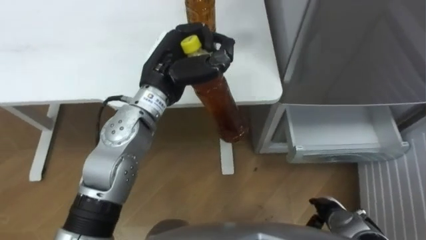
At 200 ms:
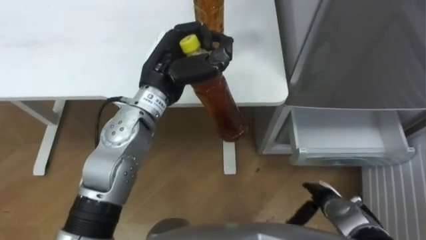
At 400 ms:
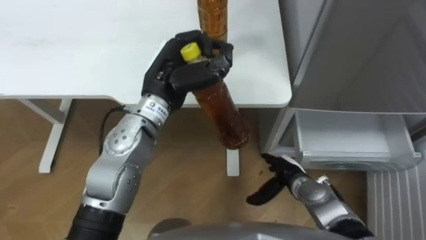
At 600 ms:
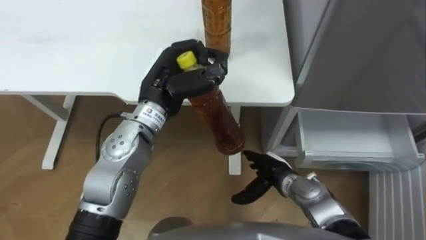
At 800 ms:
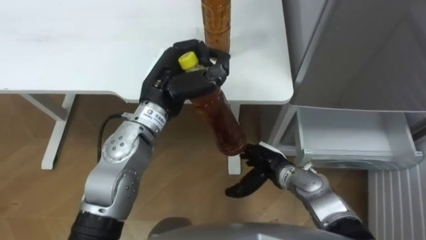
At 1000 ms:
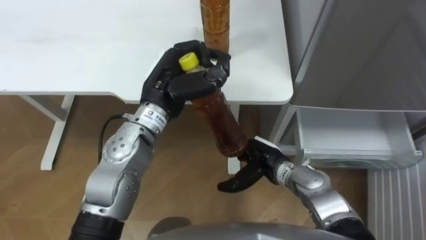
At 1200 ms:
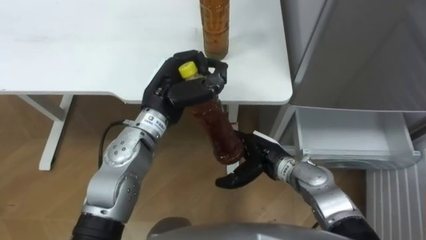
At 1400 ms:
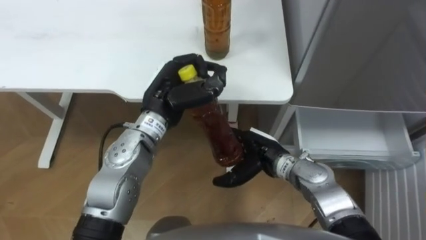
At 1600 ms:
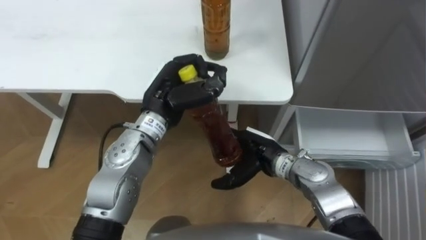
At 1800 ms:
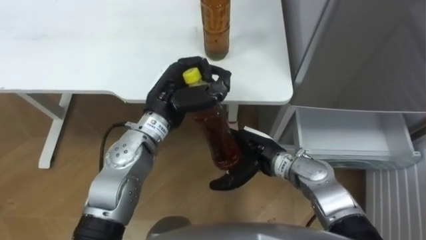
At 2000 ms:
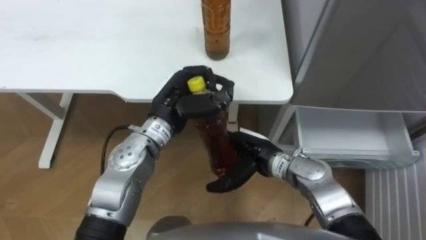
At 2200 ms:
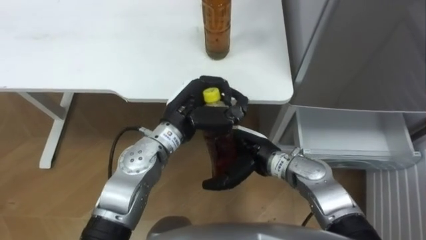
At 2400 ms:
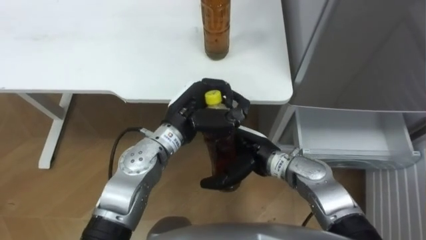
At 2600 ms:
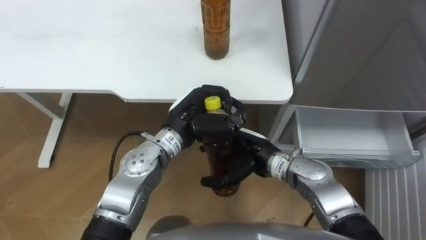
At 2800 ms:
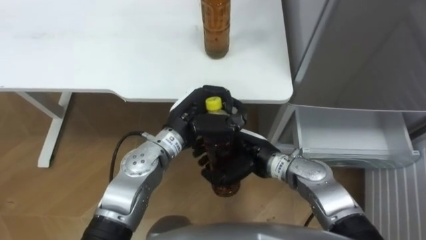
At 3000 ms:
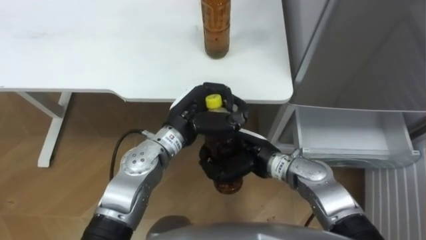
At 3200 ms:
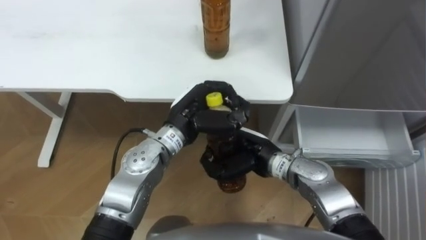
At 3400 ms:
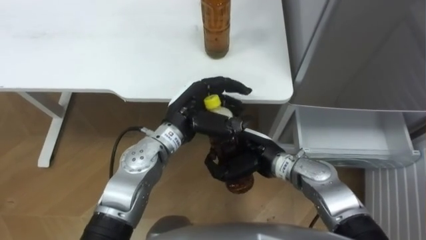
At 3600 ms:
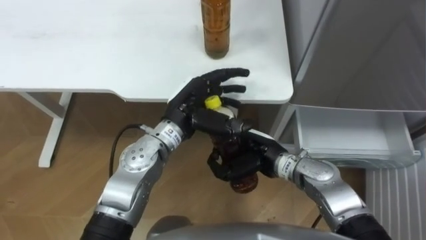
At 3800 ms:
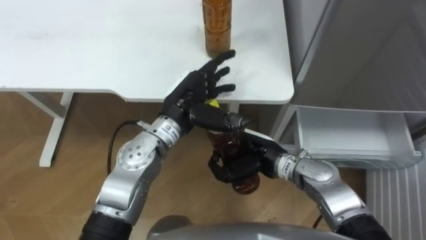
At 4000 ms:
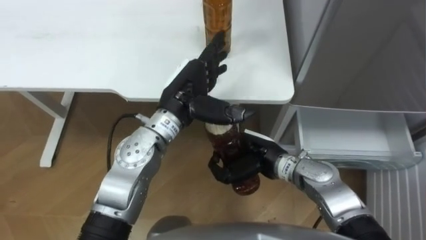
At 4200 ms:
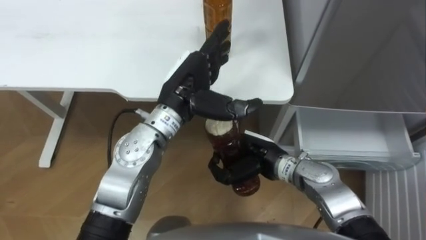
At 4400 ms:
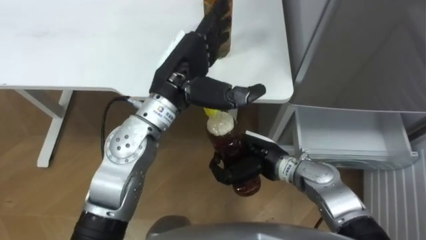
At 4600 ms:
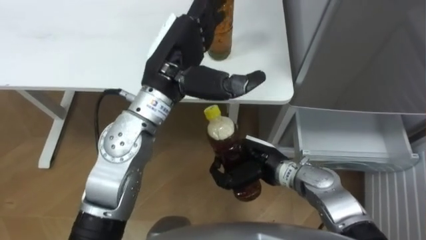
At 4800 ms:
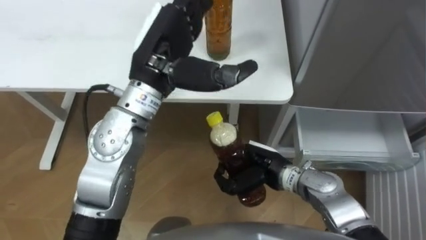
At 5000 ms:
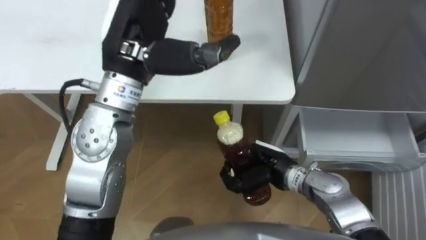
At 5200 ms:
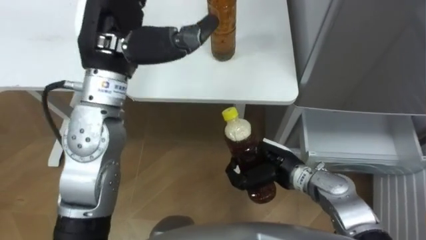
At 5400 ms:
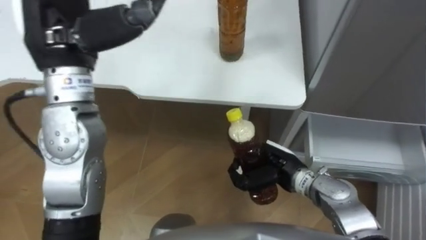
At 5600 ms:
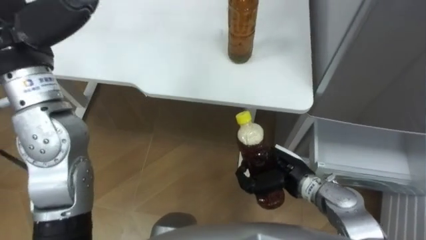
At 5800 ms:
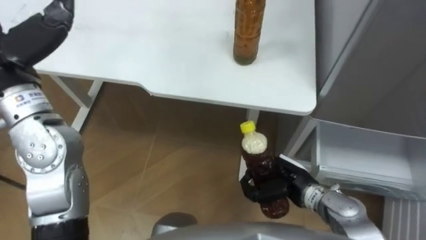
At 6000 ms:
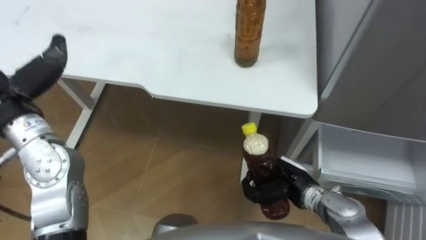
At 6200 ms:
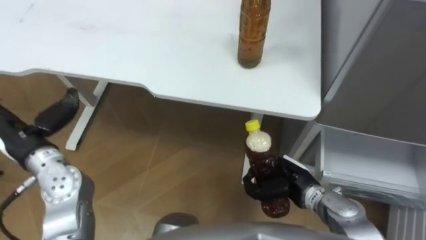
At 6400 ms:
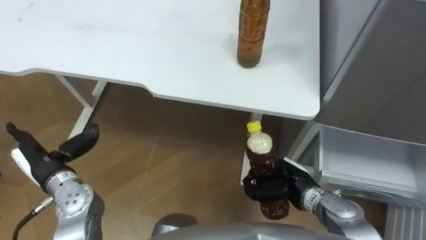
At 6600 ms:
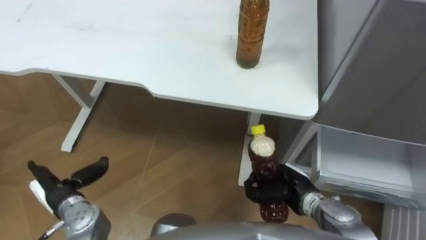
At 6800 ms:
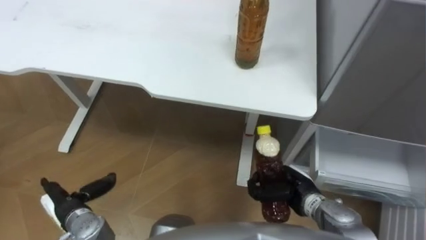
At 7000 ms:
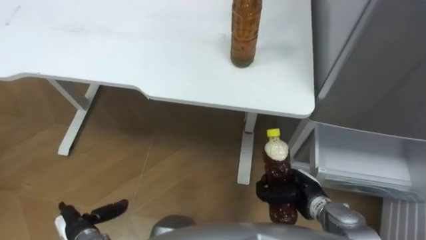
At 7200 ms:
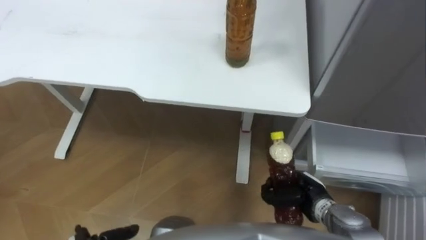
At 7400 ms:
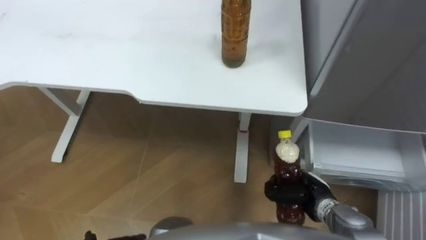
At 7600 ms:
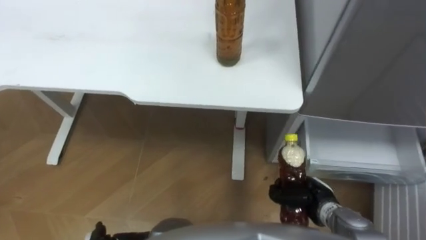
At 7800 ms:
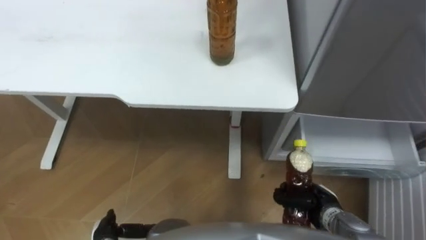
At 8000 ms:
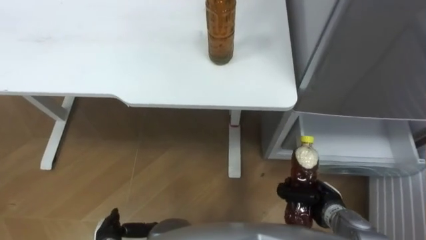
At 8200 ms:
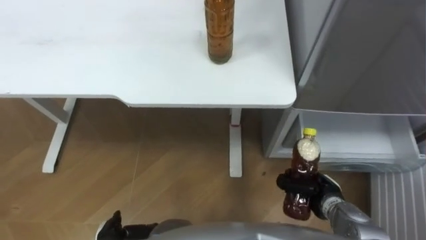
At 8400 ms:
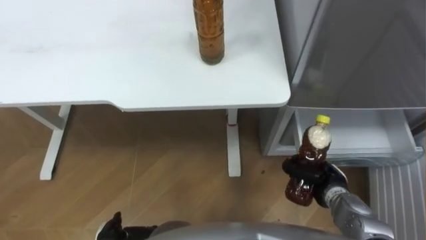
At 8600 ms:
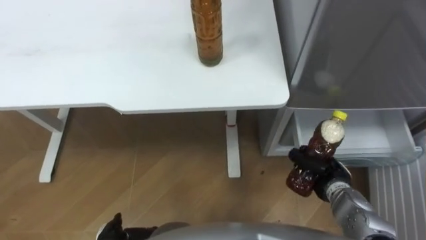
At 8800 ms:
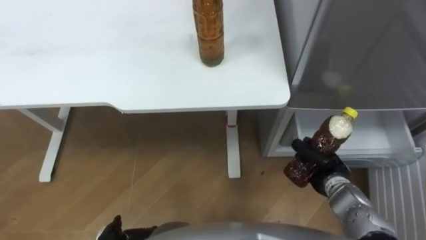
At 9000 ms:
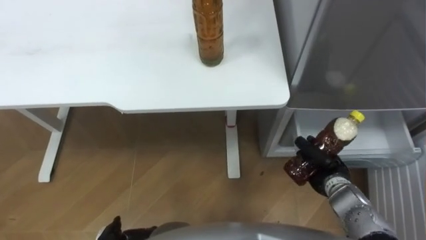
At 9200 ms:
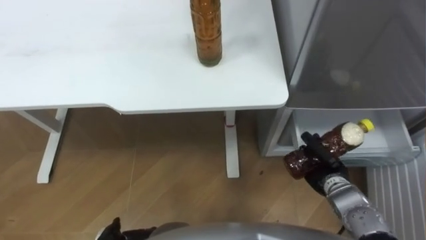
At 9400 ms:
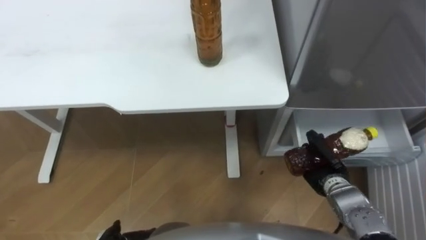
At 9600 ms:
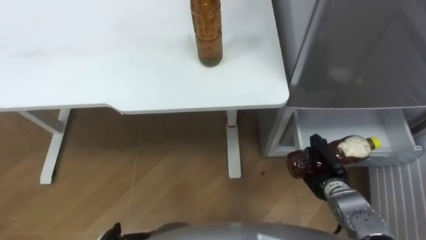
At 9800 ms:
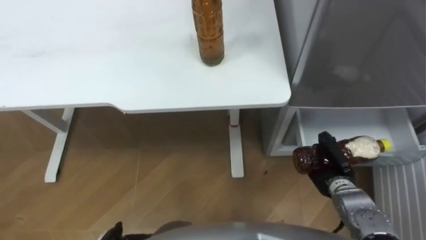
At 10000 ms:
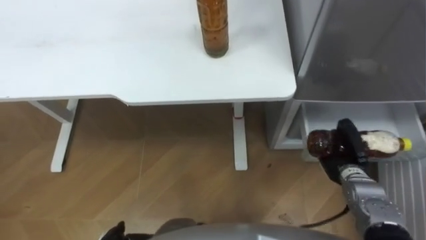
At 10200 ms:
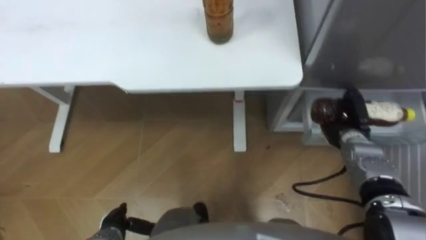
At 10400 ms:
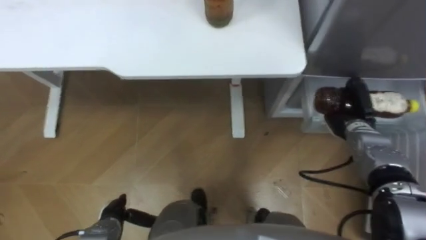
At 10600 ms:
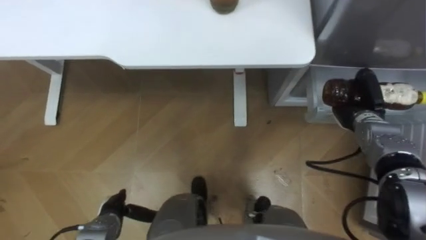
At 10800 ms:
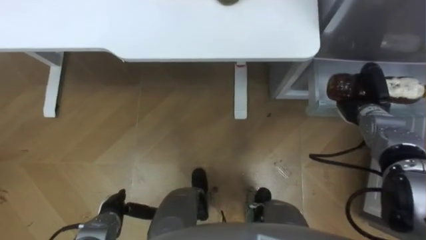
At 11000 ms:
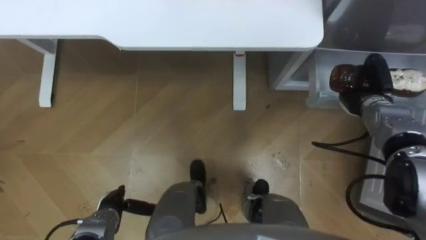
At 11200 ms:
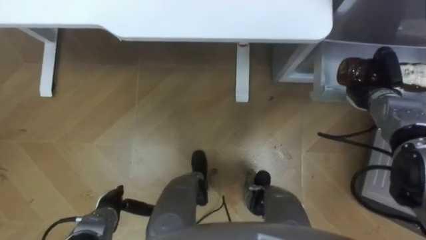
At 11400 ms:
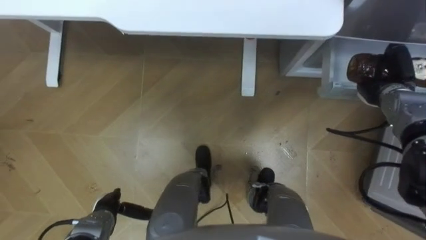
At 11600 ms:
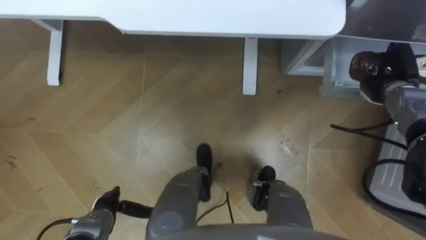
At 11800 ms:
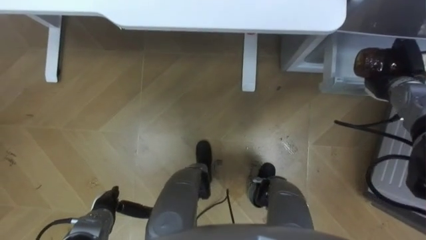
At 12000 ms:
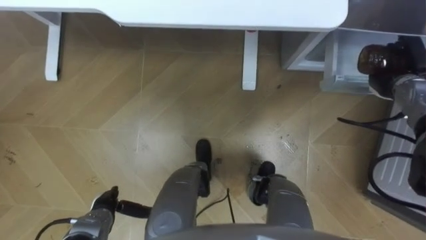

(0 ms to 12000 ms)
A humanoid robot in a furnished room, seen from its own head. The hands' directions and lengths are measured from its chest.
Task of the whole recording: Place the drink on the table on the bottom shelf of the refrigerator, then close the drawer and the refrigerator door.
0 ms - 1600 ms: The right hand moves to the left, upward and forward, roughly 25 cm; the left hand moves approximately 5 cm.
1600 ms - 3000 ms: The right hand closes its fingers. Meanwhile the left hand moves roughly 5 cm.
3000 ms - 4400 ms: The left hand is displaced upward by approximately 10 cm, and opens.
4400 ms - 6000 ms: The right hand shifts some 5 cm to the right.
6000 ms - 7600 ms: The right hand travels to the right and downward by some 10 cm.
7600 ms - 9000 ms: The right hand moves forward, some 5 cm.
9000 ms - 10400 ms: The right hand goes about 10 cm forward.
10400 ms - 12000 ms: The right hand moves upward, to the right and forward, about 10 cm.

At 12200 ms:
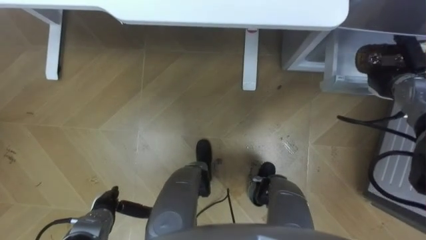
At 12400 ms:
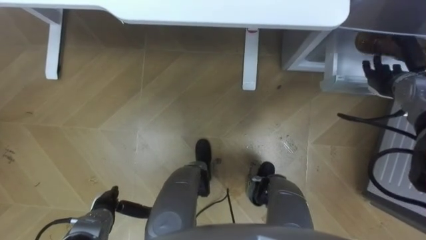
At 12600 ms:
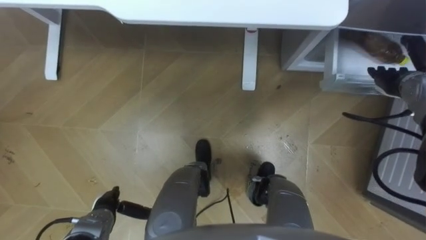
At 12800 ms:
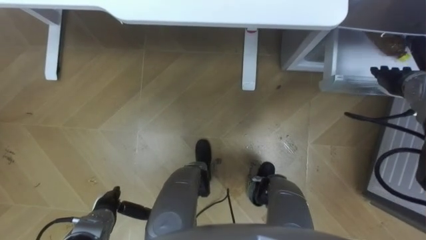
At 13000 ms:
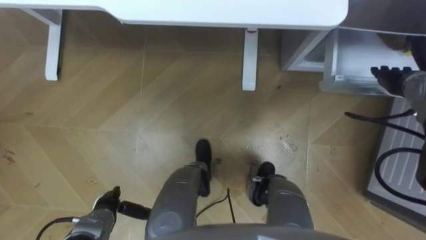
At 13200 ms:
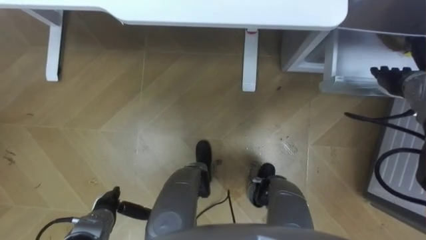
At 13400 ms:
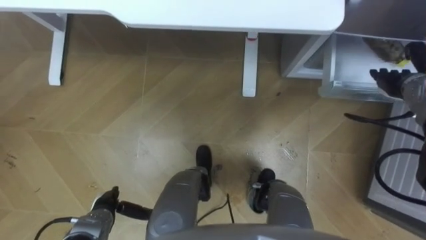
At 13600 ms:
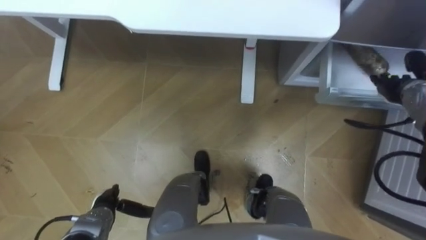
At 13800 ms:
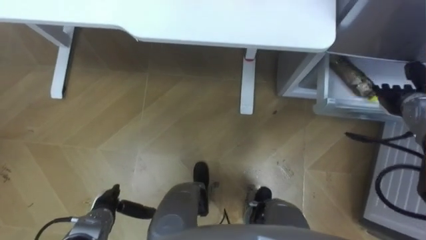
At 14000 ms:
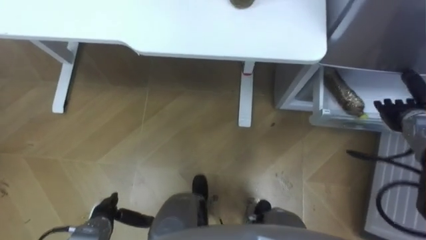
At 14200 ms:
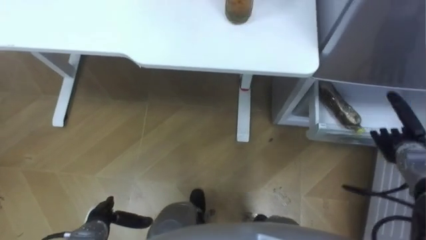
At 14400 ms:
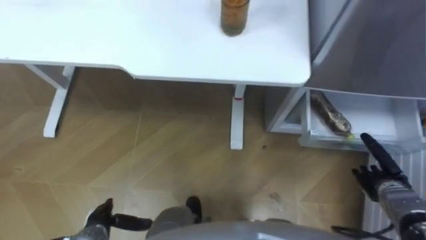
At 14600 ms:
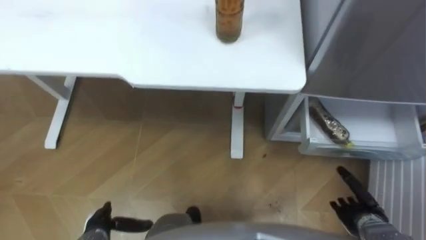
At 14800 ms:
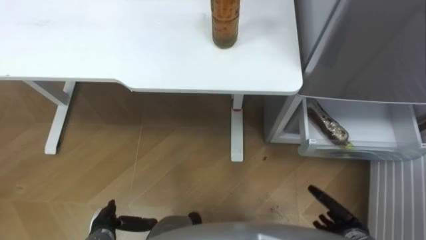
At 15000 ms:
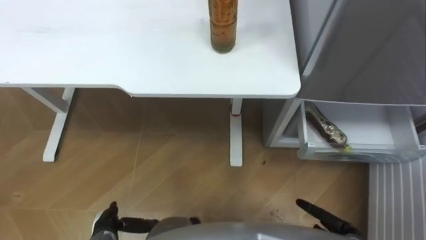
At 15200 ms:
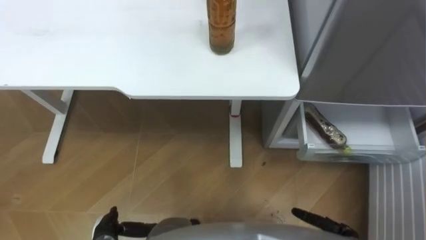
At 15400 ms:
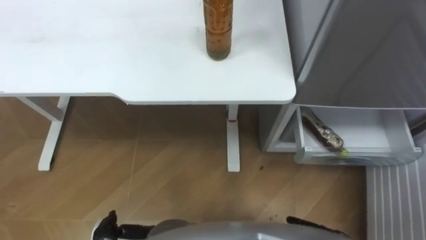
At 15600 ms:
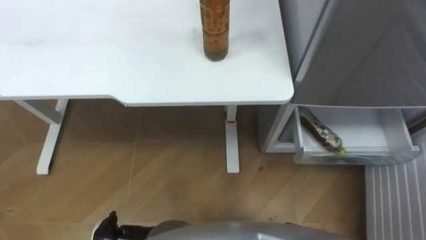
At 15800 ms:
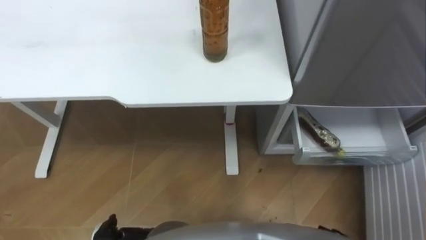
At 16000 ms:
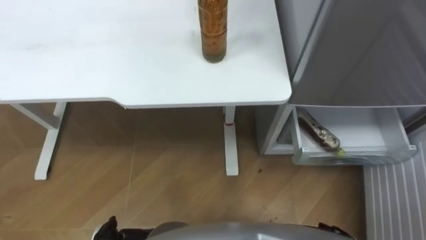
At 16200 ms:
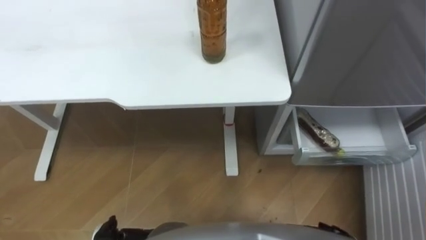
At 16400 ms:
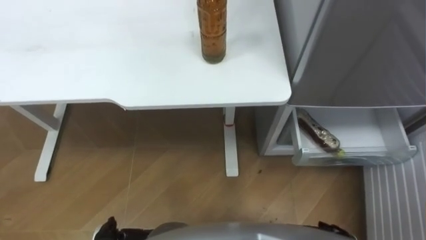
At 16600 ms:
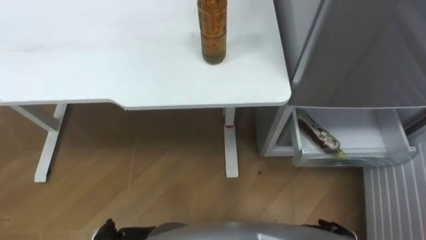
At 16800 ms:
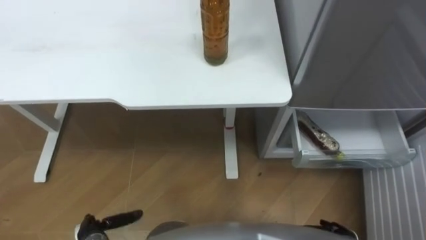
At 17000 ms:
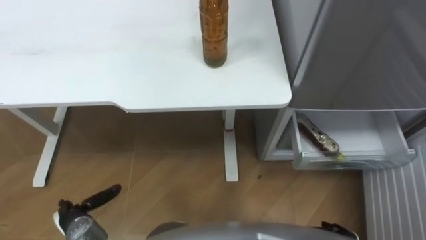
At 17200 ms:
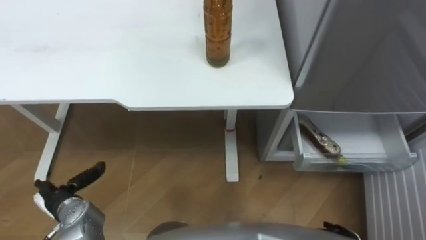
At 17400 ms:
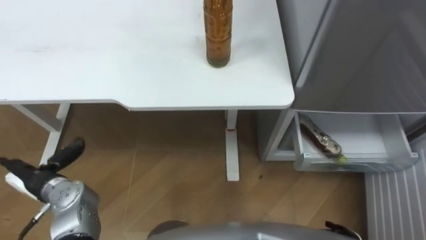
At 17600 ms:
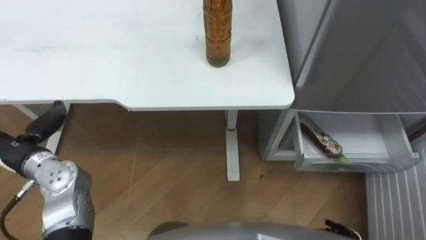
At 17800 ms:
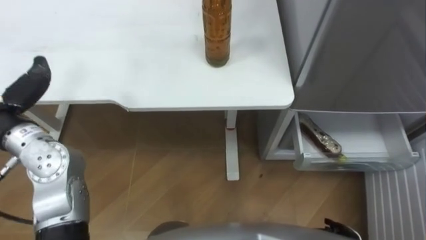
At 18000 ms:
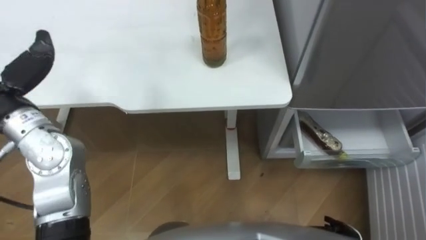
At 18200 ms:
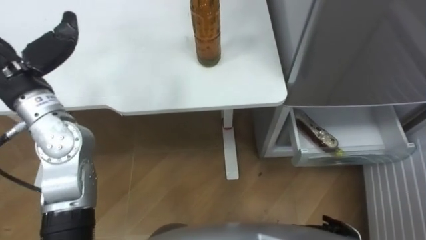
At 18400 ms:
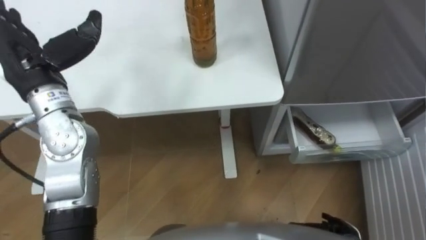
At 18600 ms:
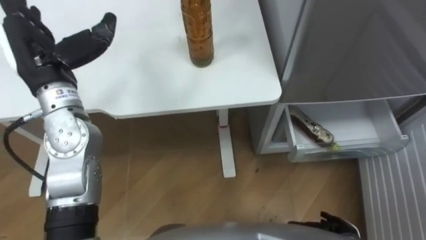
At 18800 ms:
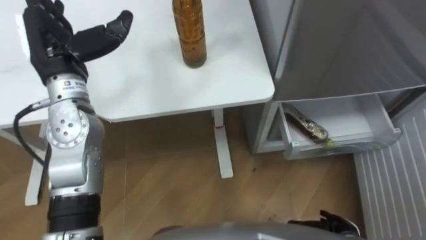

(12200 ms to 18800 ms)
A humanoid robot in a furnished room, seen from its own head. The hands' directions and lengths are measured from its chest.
Task of the whole recording: Place the drink on the table on the bottom shelf of the refrigerator, then close the drawer and the refrigerator door.
13800 ms - 15400 ms: The left hand is displaced backward by about 5 cm.
